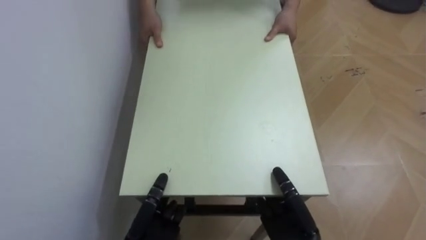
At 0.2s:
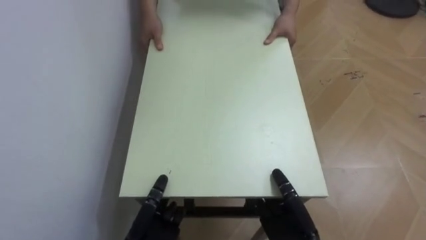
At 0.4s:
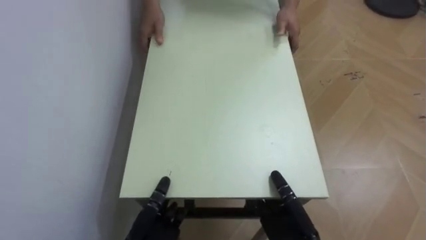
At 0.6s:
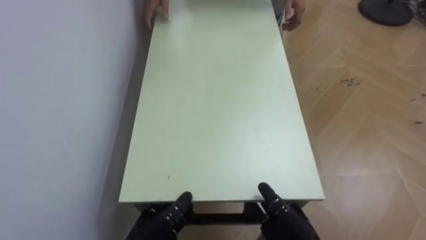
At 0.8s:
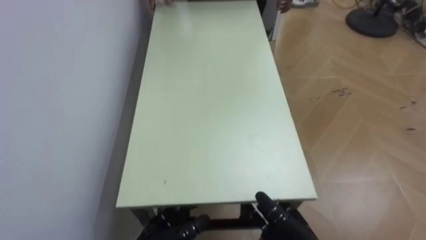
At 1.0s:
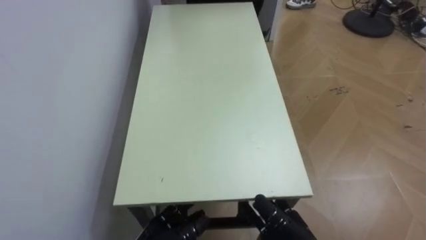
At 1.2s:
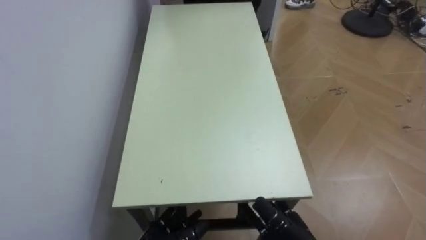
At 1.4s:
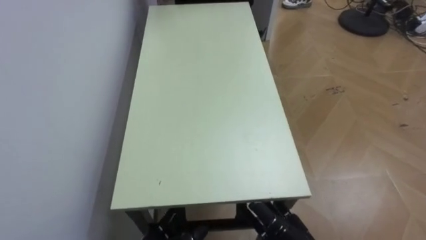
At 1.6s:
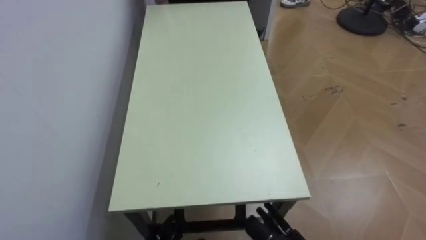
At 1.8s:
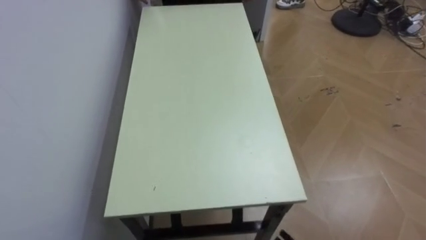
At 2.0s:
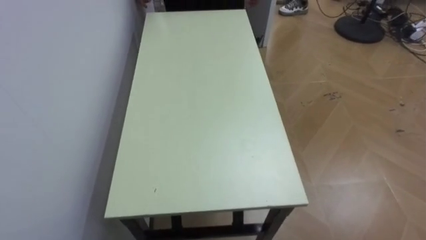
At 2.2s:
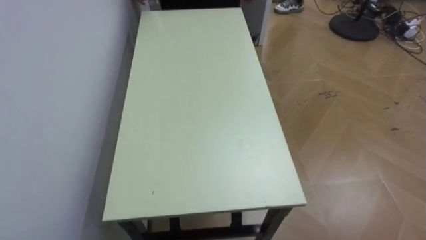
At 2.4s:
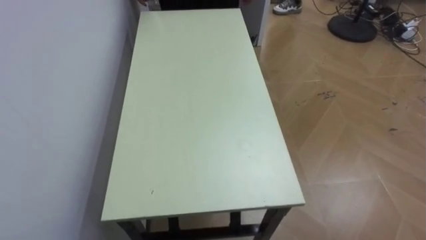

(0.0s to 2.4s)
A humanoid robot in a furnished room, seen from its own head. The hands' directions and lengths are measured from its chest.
Task of the whole recording: Move the table to the back left with someone.
0.0s - 1.2s: The right hand opens its fingers.

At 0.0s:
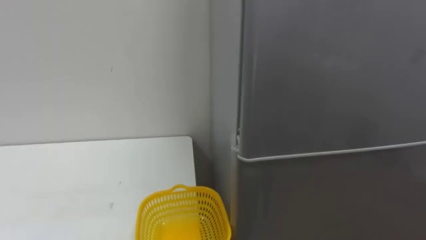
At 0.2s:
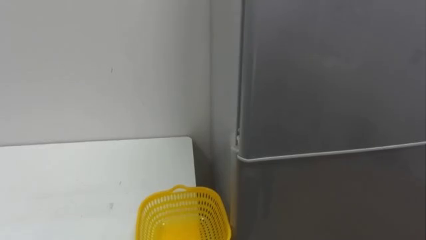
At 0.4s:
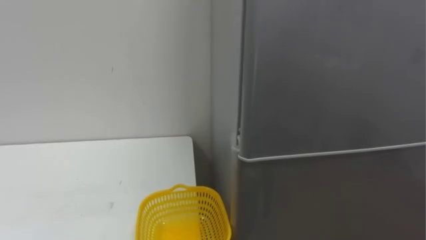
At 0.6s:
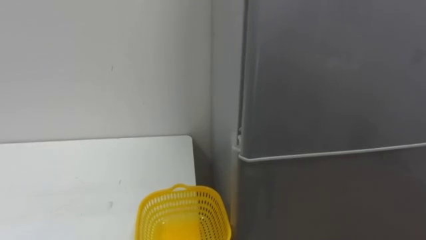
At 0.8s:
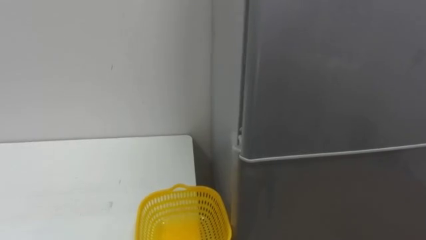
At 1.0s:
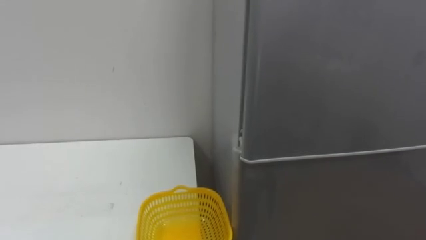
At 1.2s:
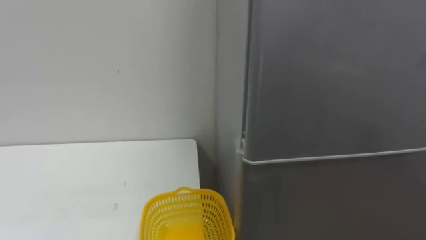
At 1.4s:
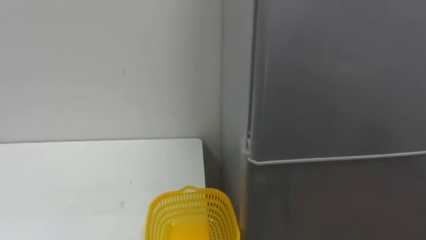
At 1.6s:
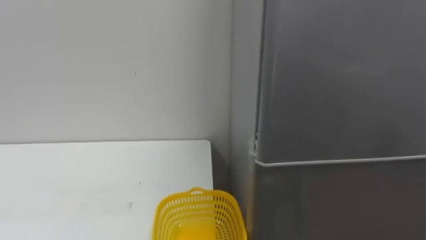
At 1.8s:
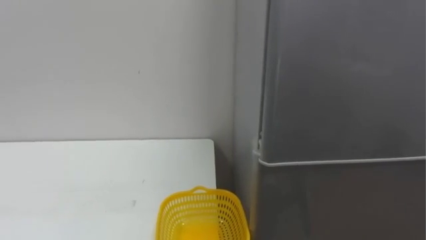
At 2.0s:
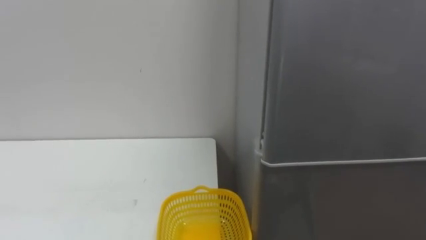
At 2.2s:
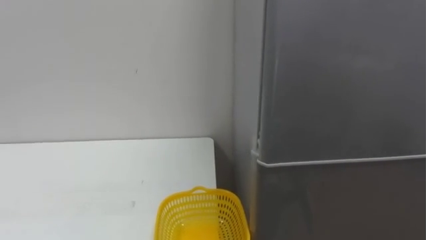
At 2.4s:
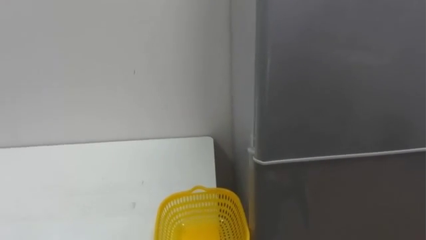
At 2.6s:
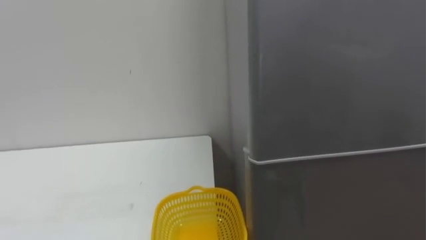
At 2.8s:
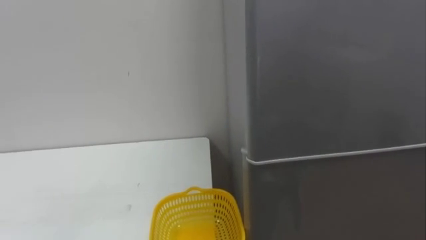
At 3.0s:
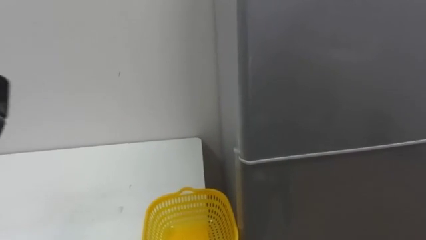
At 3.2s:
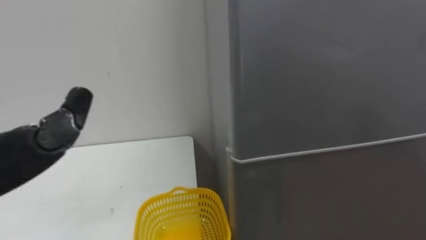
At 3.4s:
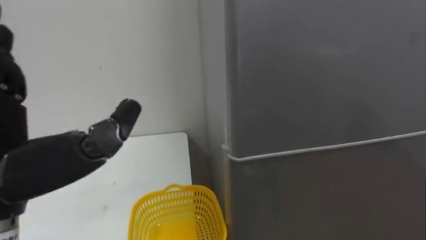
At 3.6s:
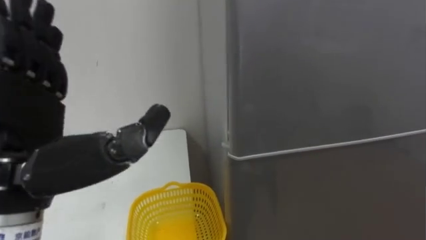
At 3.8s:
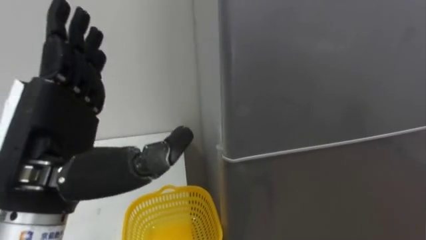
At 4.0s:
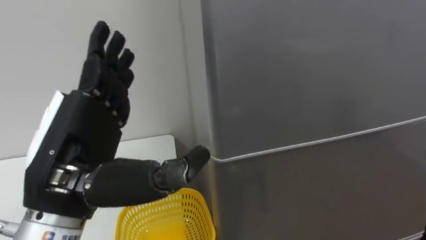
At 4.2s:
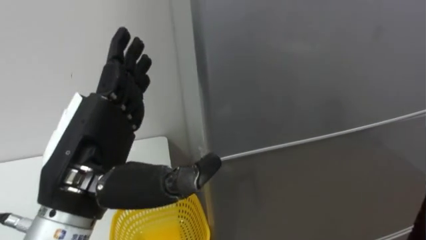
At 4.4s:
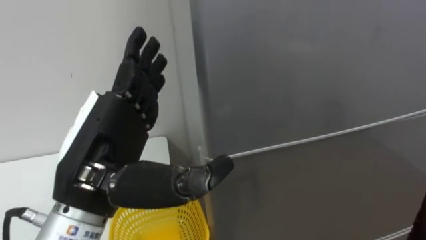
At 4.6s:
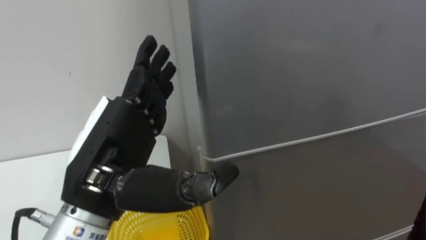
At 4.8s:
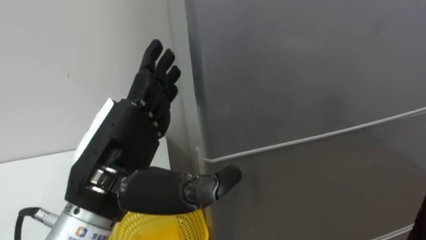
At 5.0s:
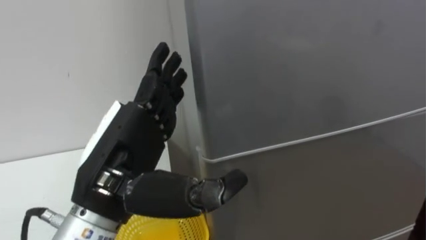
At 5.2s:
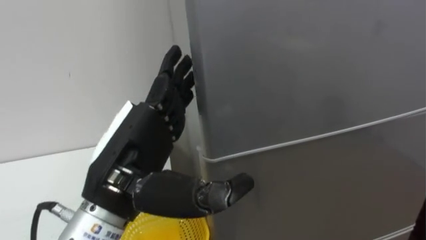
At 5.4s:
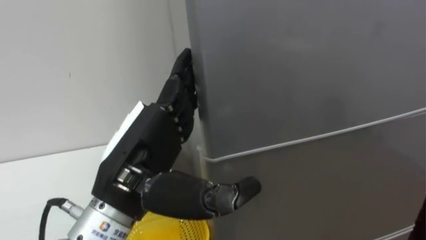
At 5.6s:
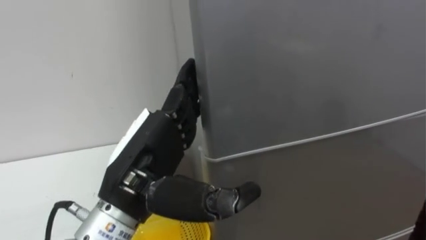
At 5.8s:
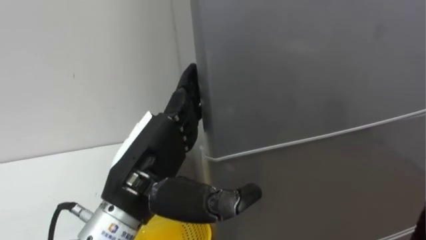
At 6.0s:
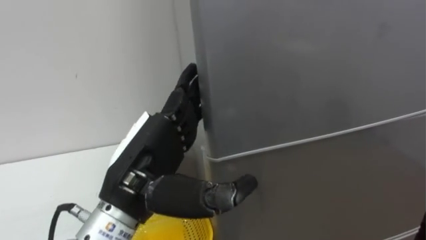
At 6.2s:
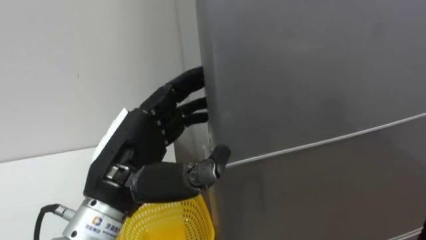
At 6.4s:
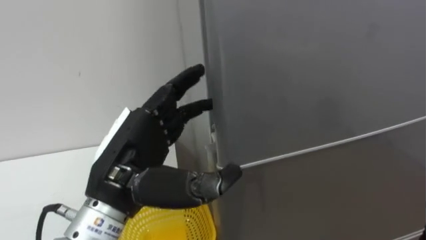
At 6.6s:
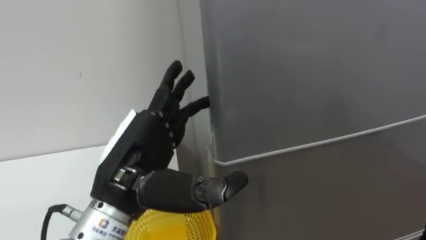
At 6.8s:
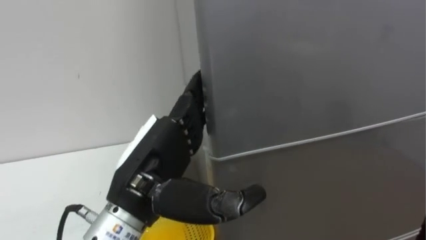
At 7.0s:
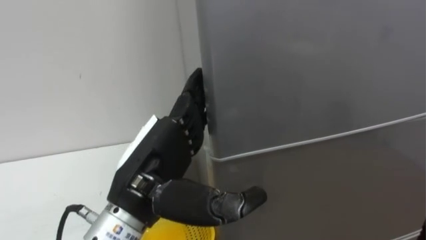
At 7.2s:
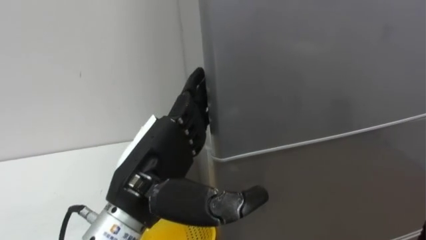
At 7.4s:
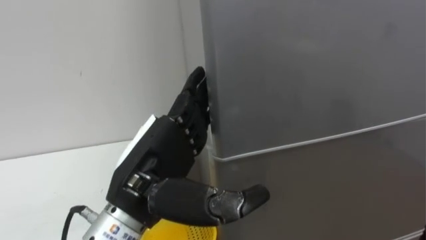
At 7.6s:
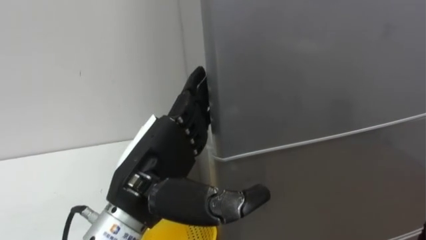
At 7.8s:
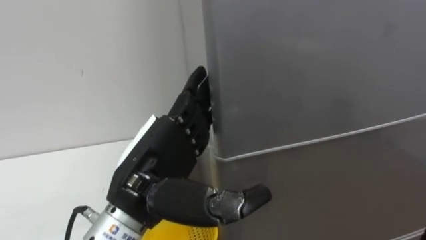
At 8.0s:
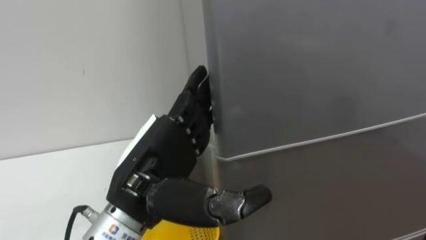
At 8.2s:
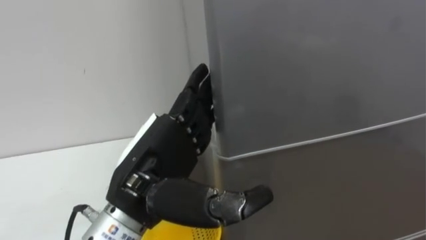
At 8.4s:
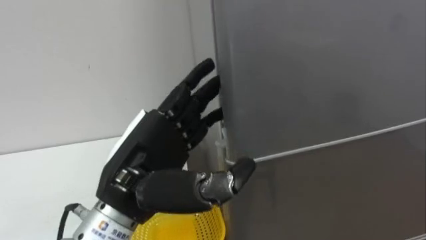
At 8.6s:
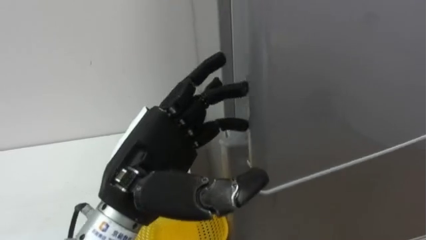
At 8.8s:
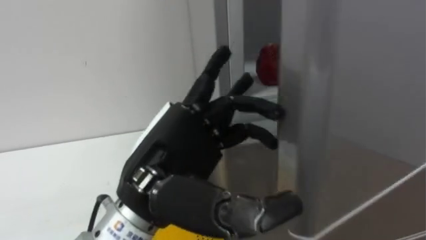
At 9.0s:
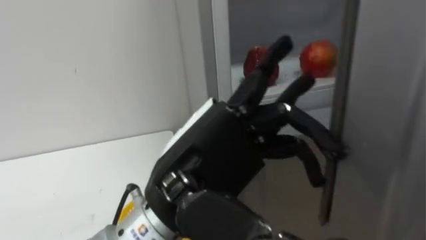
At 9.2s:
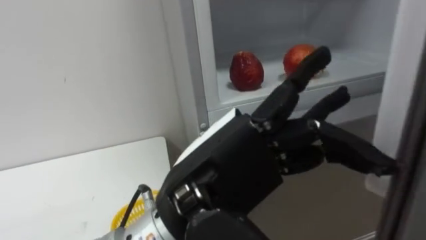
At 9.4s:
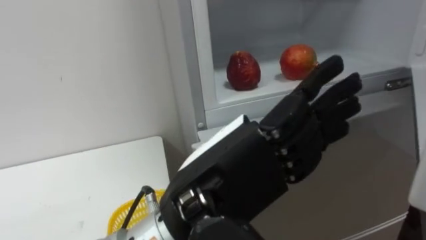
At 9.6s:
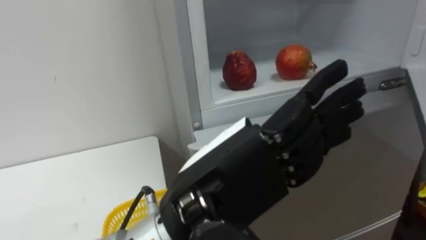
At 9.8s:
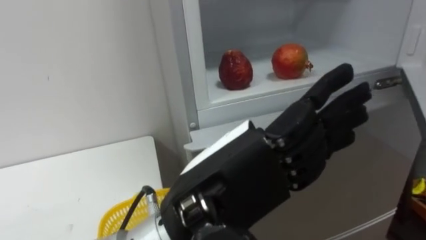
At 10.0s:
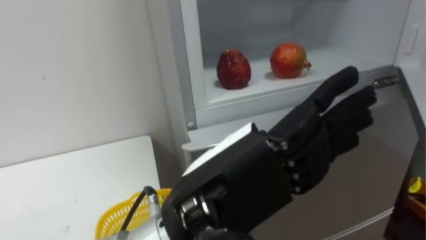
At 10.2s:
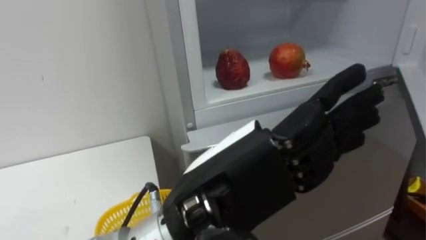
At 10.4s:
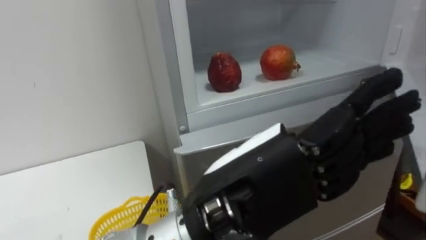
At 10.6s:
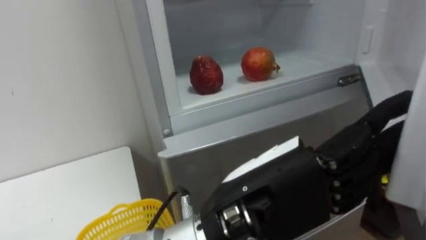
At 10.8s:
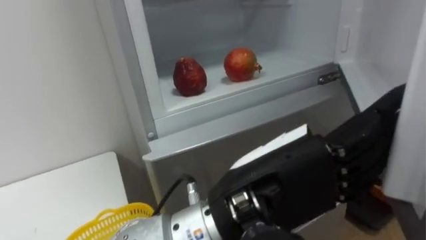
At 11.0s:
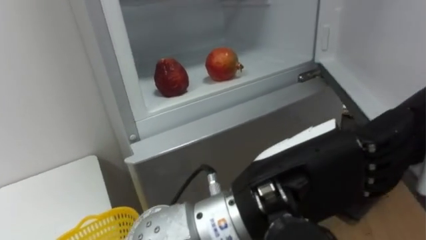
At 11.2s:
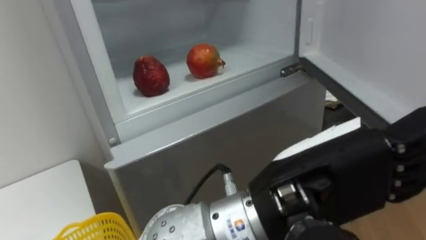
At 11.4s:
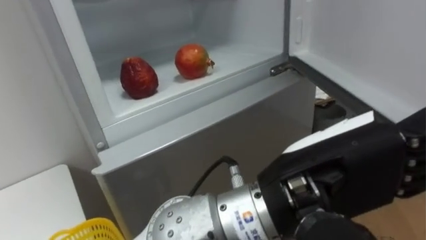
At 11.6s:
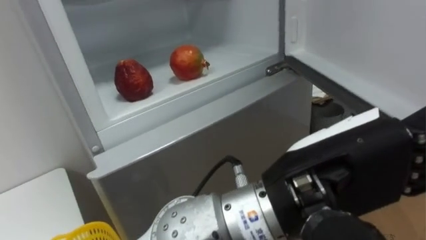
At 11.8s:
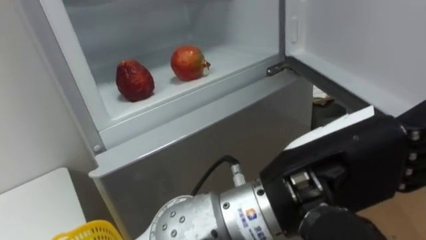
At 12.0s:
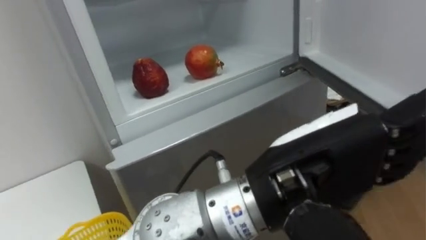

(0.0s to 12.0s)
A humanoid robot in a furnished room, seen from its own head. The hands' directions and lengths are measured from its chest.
Task of the whole recording: Open the refrigerator door, take out the apple and the pomegranate, place them in the fruit basket on the left, and close the refrigerator door.
4.4s - 6.0s: The left hand changes place by approximately 5 cm.
7.6s - 9.0s: The left hand heads to the right, covering roughly 5 cm.
9.0s - 10.4s: The left hand shifts by some 5 cm.
10.4s - 12.0s: The left hand travels to the right by approximately 5 cm.

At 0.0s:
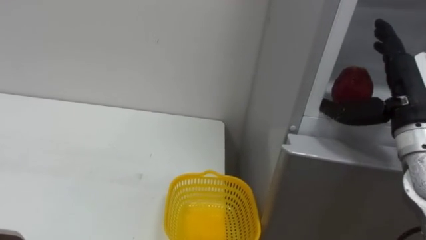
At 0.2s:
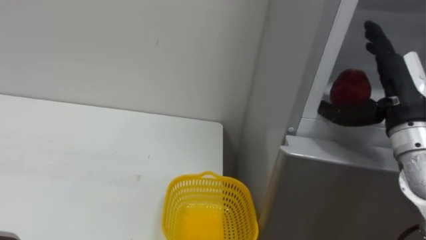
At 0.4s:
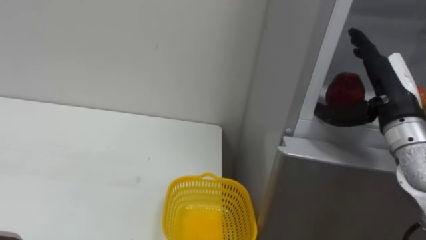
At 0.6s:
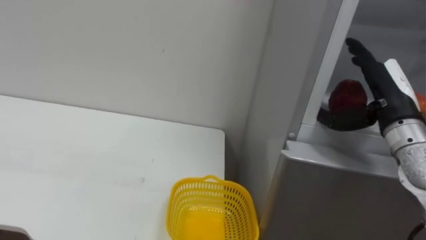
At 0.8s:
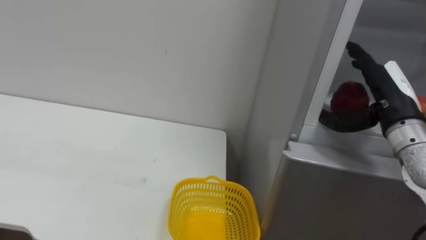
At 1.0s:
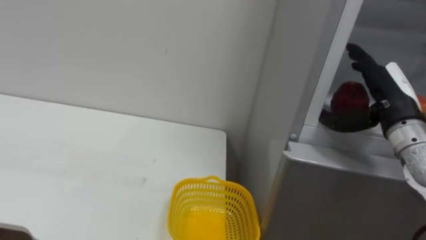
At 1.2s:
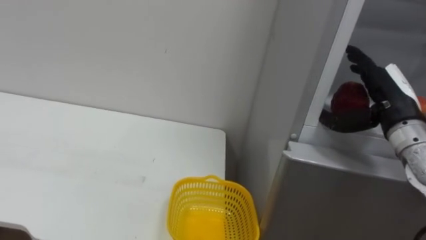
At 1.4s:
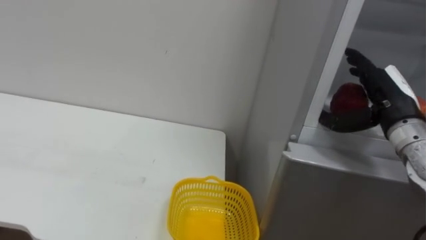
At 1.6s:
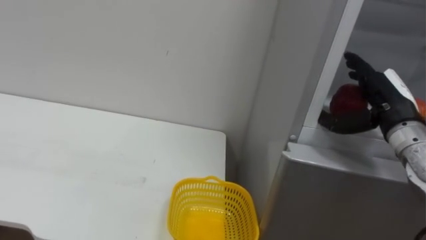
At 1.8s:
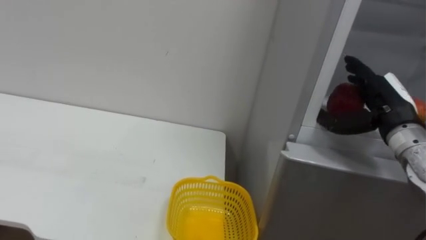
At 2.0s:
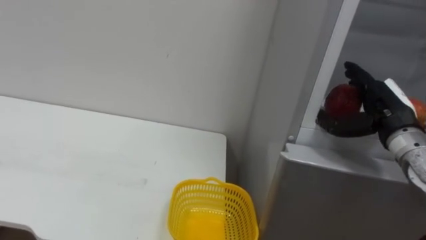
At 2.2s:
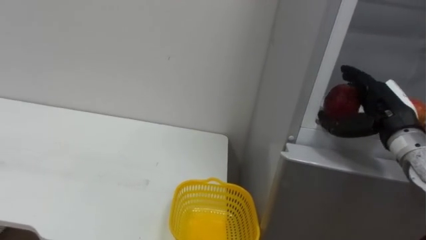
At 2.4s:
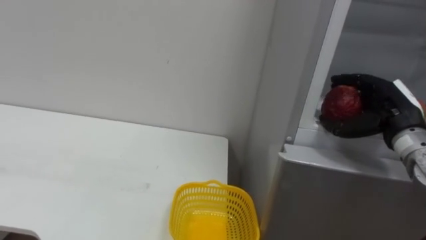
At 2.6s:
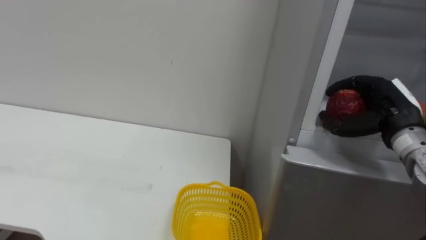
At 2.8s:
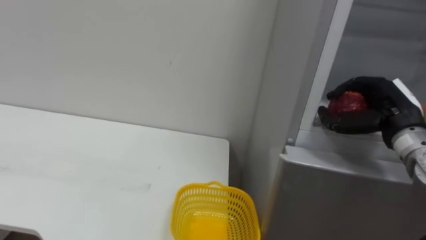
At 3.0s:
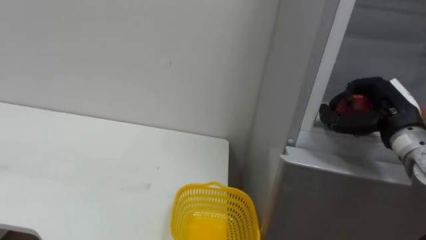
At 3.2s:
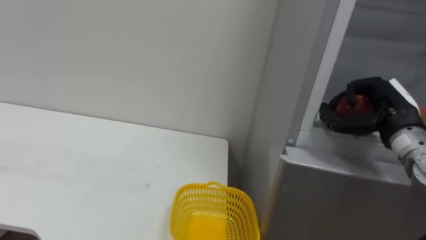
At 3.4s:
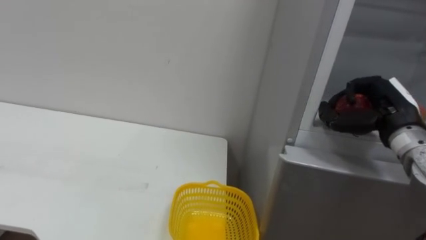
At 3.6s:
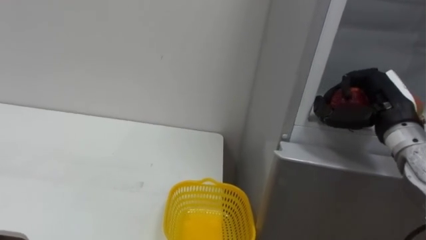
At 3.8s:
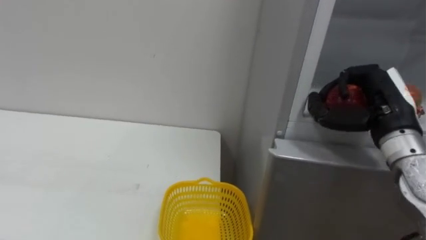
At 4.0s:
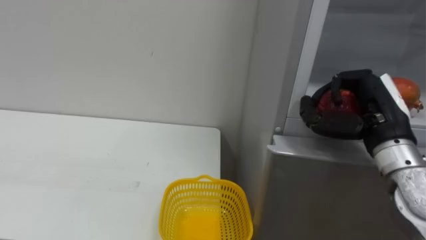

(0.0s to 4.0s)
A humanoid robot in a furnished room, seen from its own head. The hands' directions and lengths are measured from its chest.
Task of the whole recording: Open the refrigerator door, take out the apple and the pomegranate, place them in the fruit basket on the left, and close the refrigerator door.
1.4s - 2.6s: The right hand closes up.
2.6s - 4.0s: The right hand ends up approximately 5 cm from where it was.
